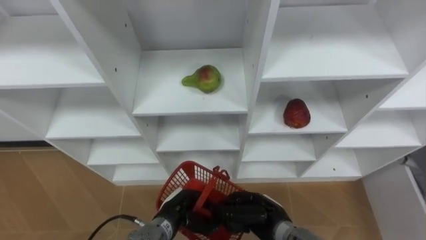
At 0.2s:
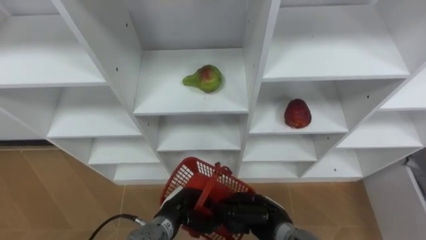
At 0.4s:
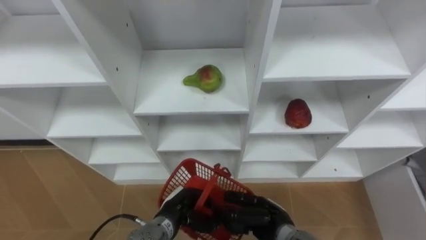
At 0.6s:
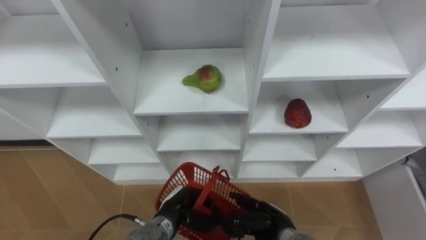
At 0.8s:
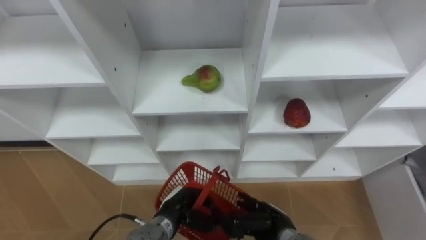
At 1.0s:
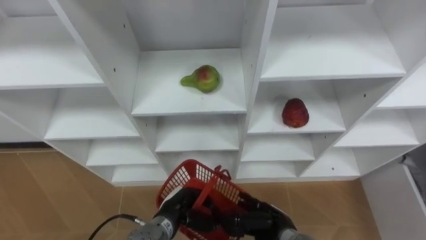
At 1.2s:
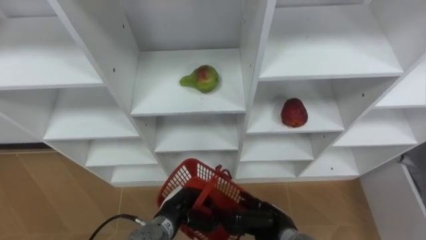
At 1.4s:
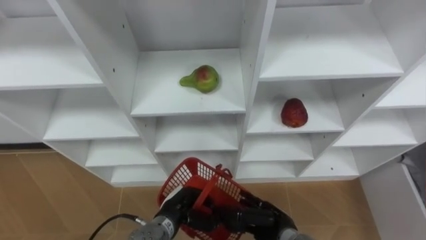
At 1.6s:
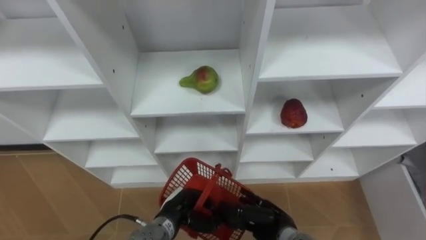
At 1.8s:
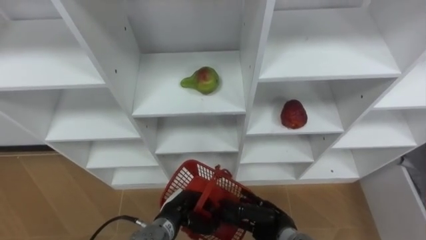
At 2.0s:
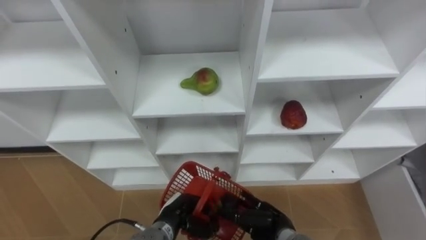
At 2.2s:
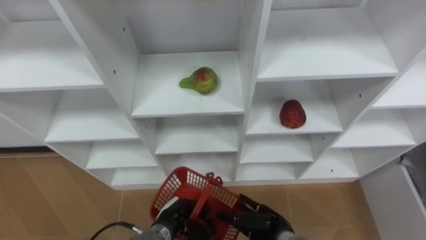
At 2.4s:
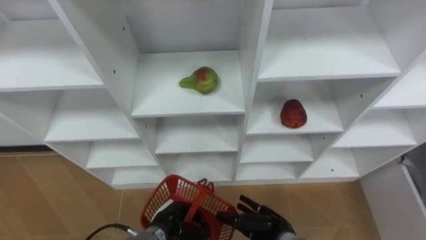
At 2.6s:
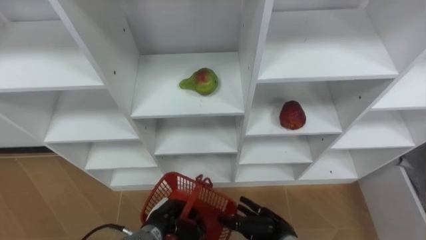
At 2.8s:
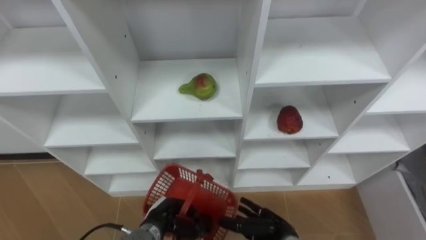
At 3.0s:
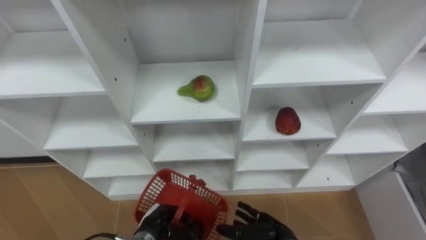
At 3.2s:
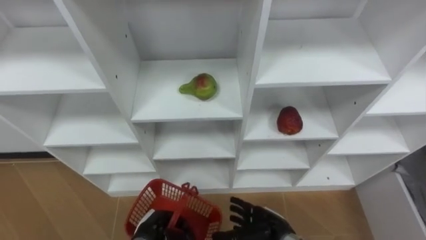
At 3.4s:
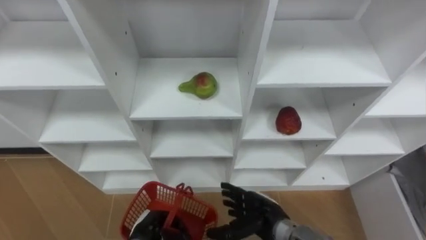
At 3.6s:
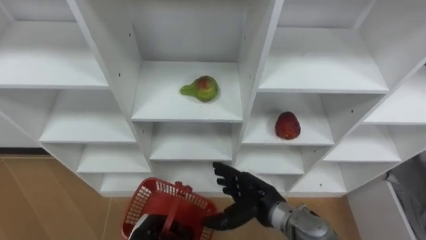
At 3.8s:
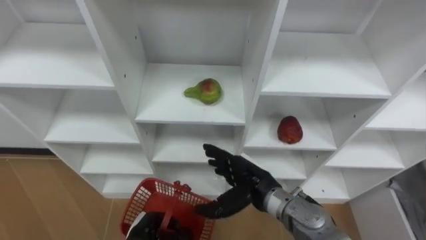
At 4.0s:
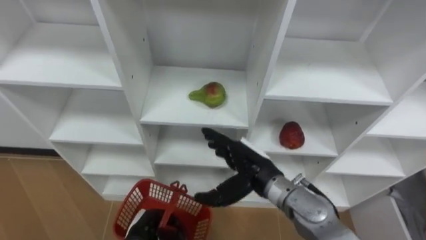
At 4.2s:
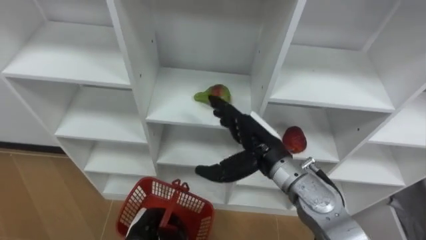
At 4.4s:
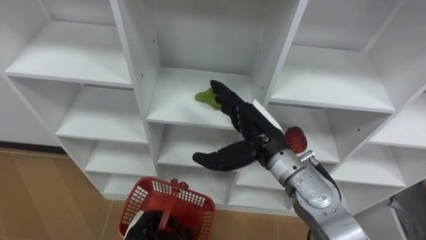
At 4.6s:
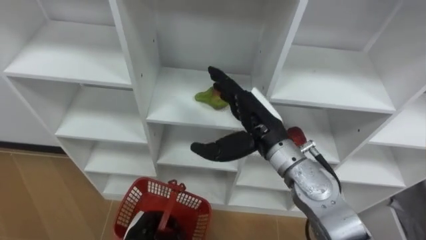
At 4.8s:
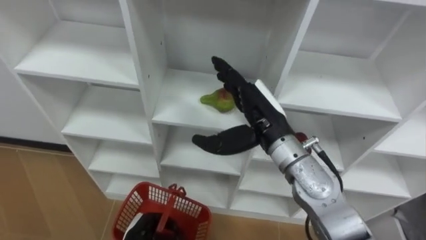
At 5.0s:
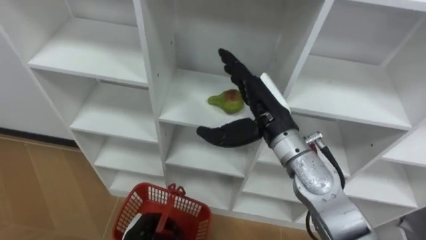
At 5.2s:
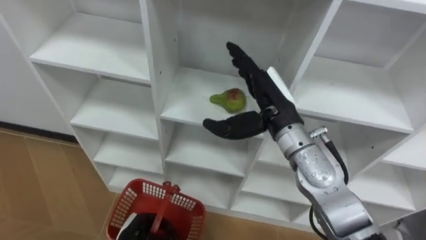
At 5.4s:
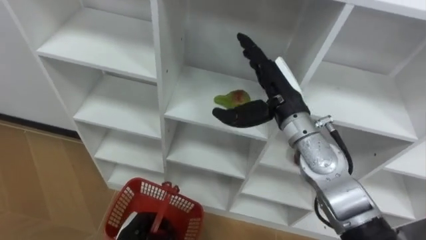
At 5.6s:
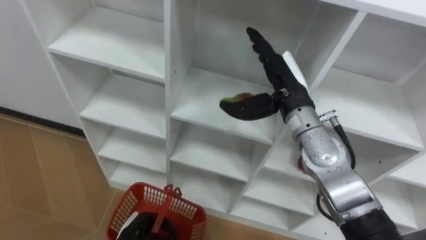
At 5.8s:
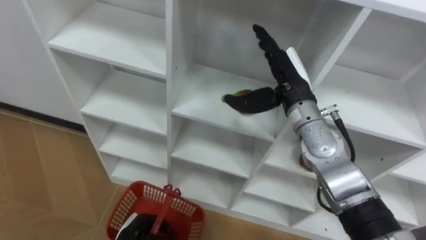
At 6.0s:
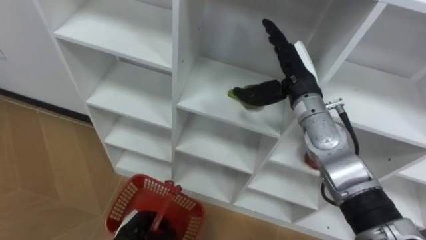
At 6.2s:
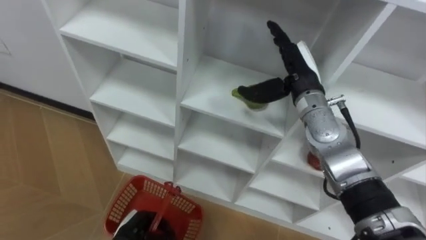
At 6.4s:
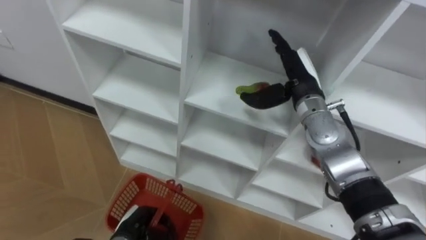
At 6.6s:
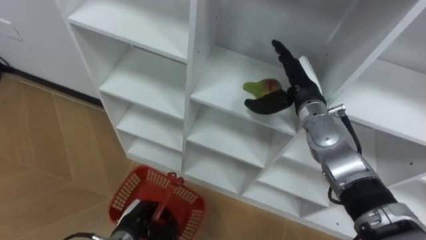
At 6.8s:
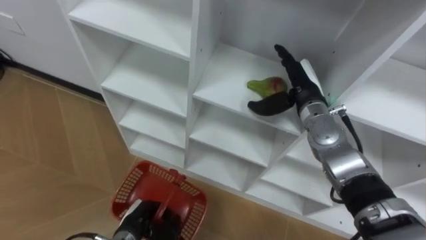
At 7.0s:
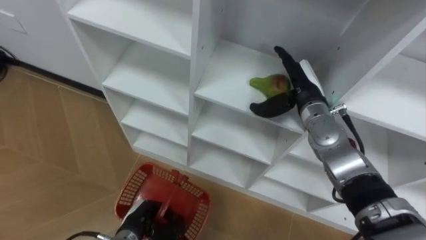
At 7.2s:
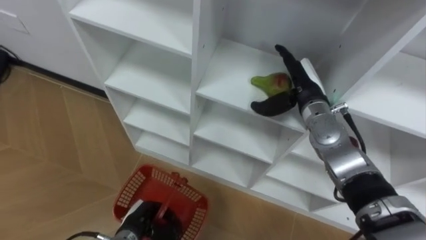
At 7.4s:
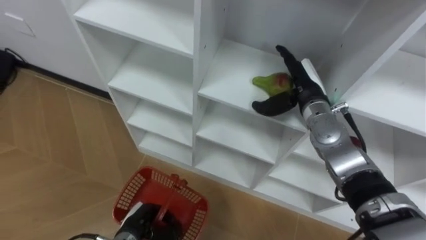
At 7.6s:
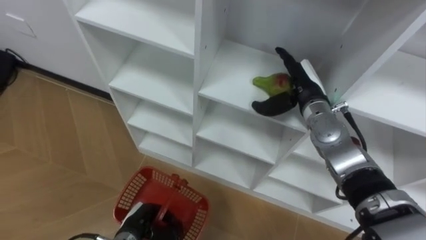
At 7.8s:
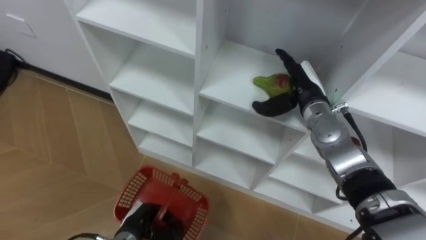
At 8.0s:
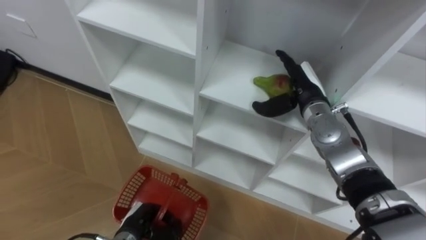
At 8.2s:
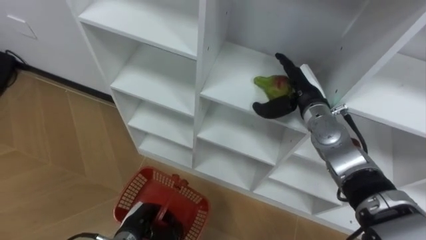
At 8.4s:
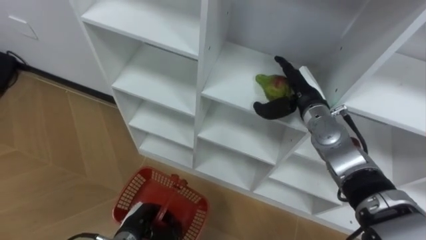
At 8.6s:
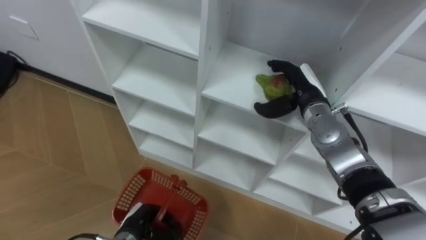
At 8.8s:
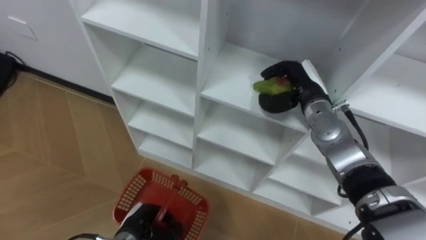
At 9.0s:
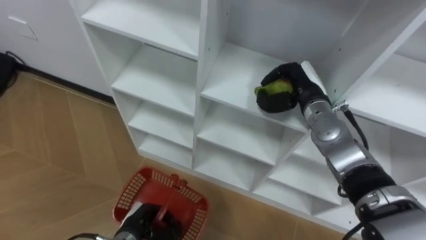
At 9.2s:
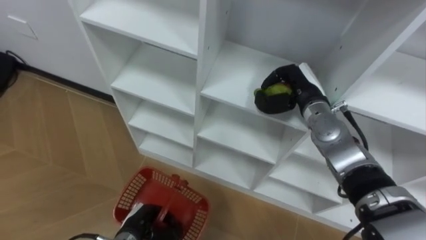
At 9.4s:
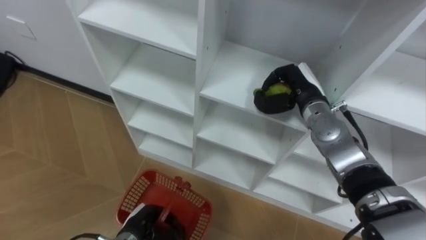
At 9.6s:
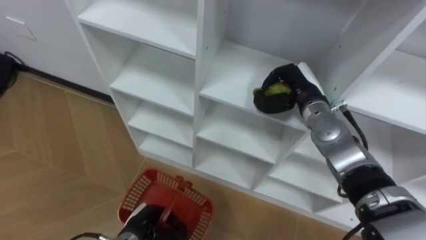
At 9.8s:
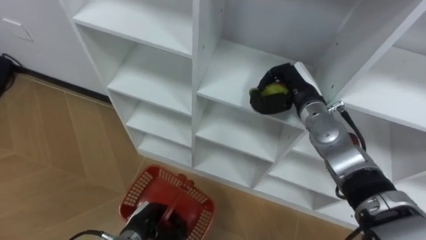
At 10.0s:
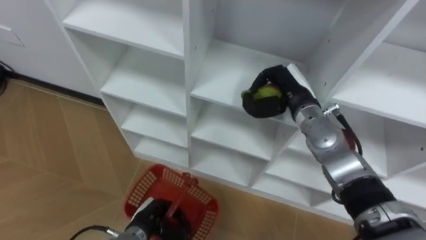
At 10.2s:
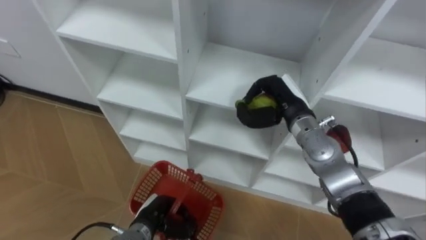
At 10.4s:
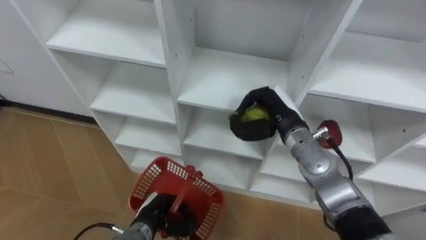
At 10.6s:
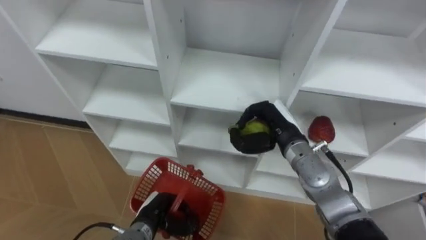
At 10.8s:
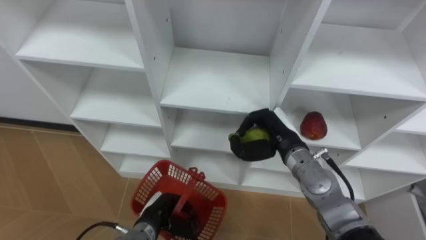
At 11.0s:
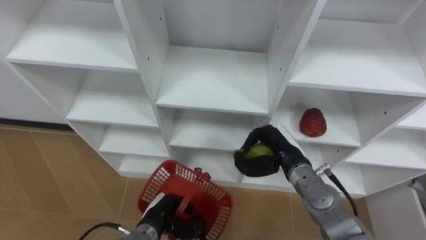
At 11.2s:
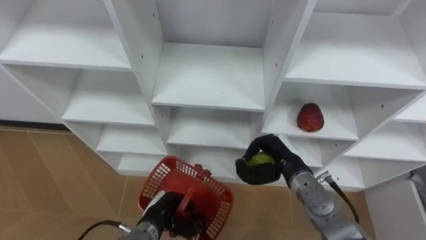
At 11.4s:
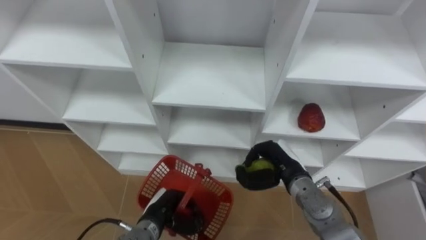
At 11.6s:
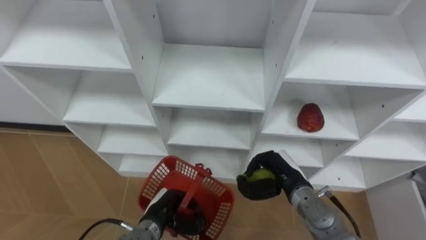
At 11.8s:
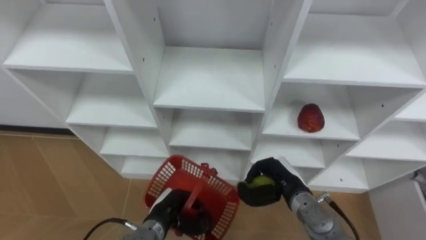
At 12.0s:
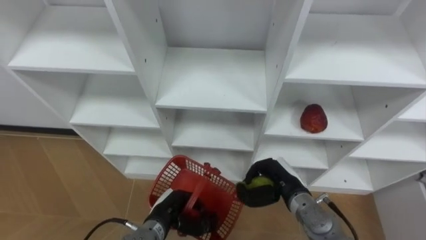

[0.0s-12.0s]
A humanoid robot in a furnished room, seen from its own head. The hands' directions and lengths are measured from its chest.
Task of the whole recording: Hold the basket and collect the fruits from 3 different cells of the closet into it.
0.0s to 1.6s: The right hand opens.
1.6s to 3.0s: The left hand ends up about 5 cm from where it was.
3.0s to 4.4s: The right hand moves upward and forward, some 25 cm.
4.4s to 6.0s: The right hand moves forward and to the right, about 10 cm.
6.0s to 7.6s: The right hand is displaced downward by roughly 5 cm.
7.6s to 9.0s: The right hand closes.
9.0s to 10.4s: The right hand ends up some 5 cm from where it was.
10.4s to 12.0s: The right hand travels downward and backward by some 15 cm.

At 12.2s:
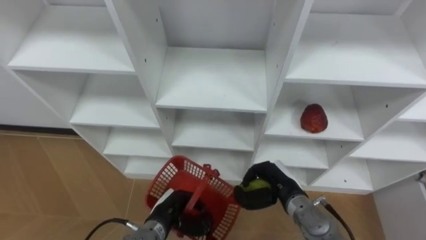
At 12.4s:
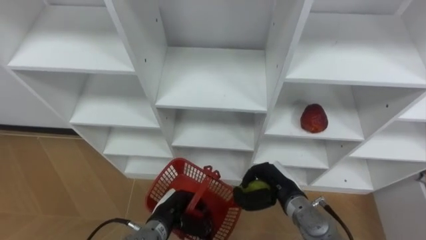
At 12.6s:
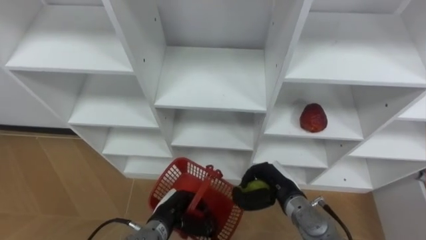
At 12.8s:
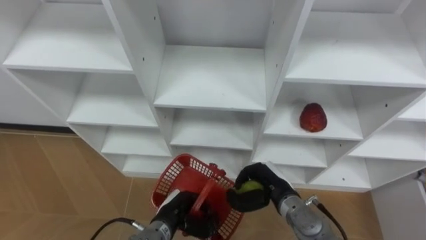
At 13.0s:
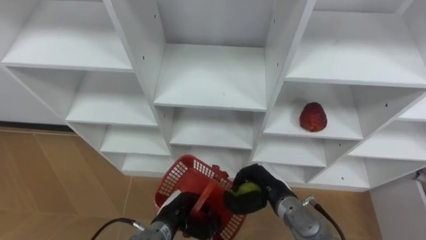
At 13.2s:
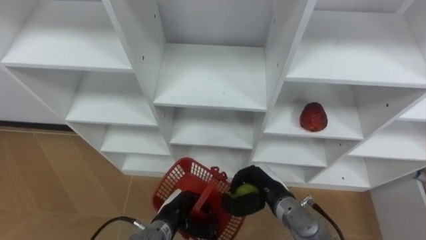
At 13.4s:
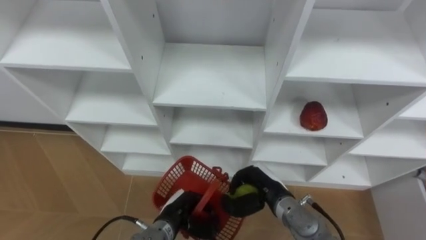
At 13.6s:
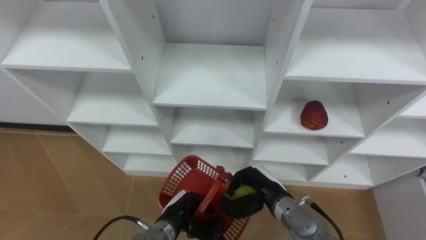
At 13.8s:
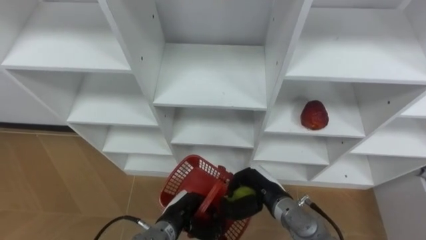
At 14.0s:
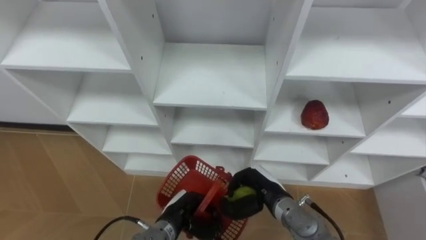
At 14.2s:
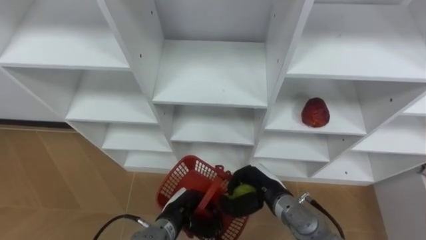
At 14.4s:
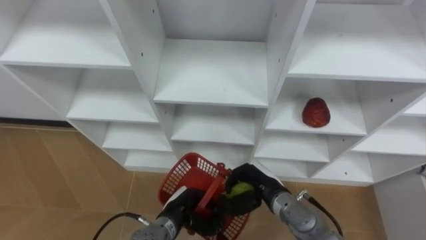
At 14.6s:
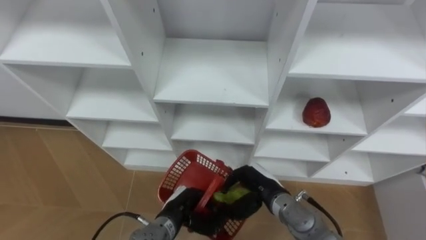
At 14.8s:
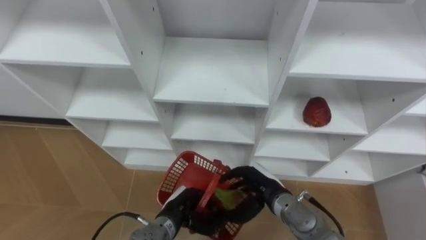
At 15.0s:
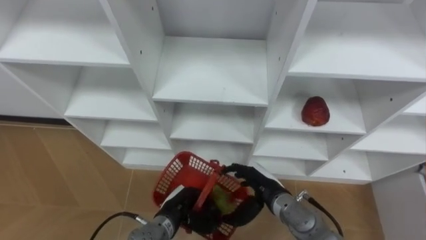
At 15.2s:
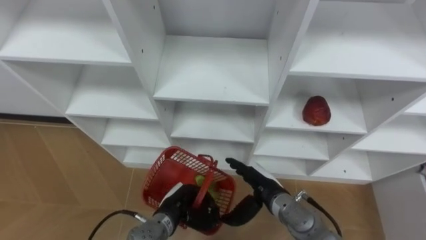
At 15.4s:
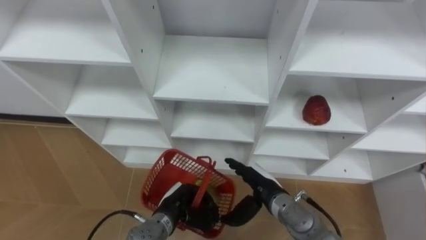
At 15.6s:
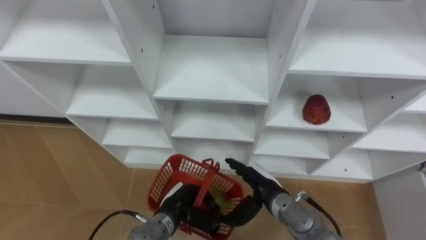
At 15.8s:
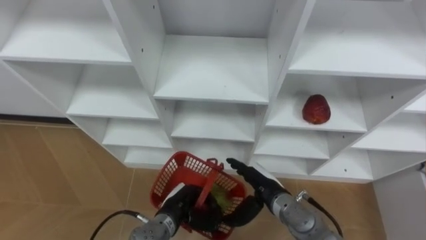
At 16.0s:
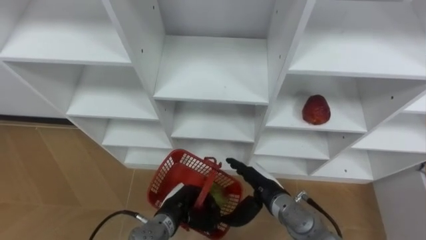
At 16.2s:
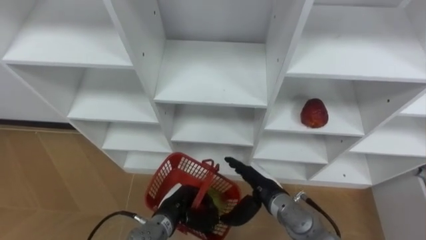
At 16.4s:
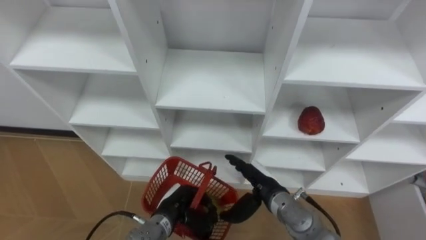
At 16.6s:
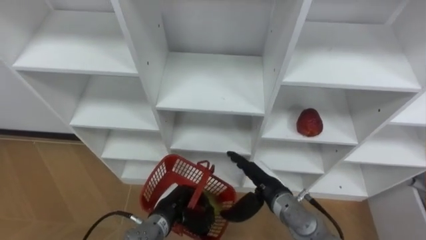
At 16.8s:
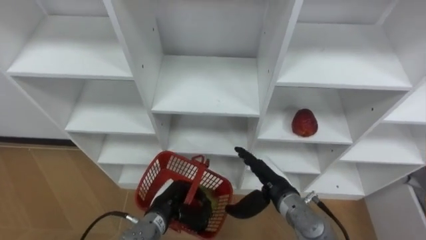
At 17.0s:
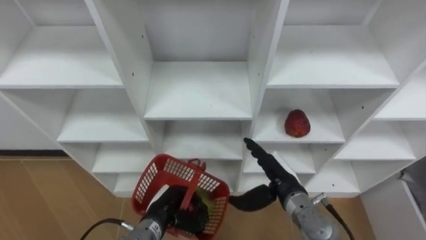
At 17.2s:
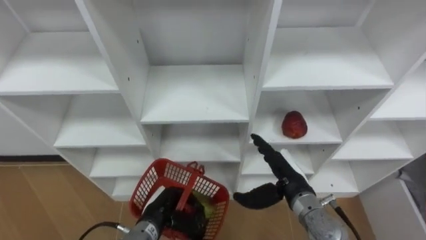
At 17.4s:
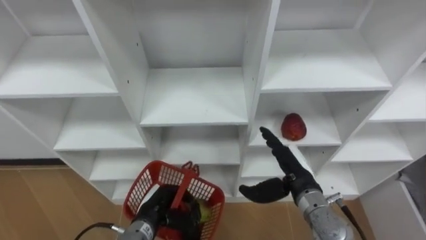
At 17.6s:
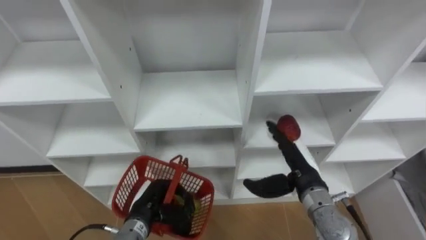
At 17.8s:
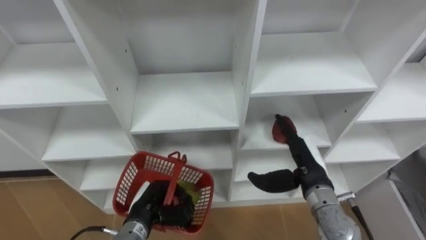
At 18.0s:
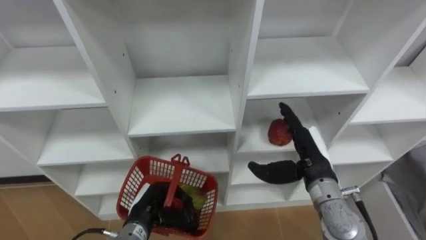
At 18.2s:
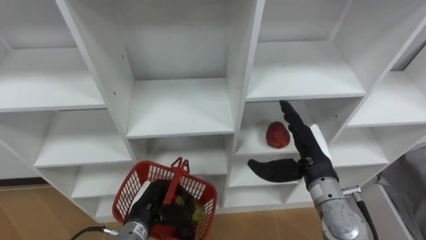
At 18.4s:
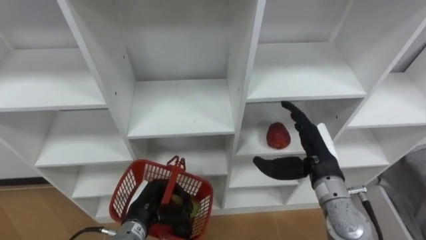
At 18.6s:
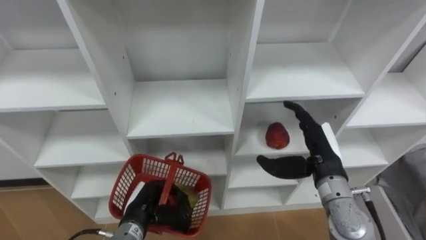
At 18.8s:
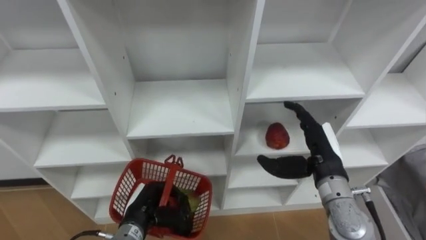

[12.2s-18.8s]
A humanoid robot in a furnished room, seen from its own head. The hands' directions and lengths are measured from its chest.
Task of the whole recording: Hold the basket and collect the fruits from 3 different cells of the closet into it.
12.2s to 13.8s: There are only small adjustments of the hands.
13.8s to 15.4s: The right hand opens.
15.4s to 17.2s: The right hand changes place by approximately 5 cm.
17.2s to 18.8s: The right hand moves upward and to the right, approximately 10 cm.
